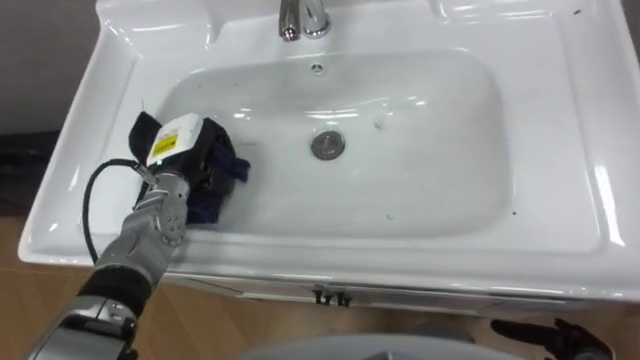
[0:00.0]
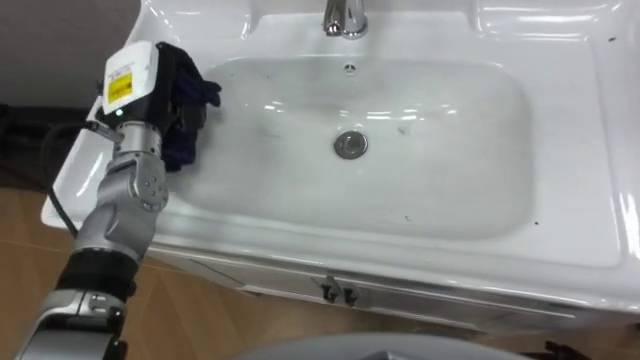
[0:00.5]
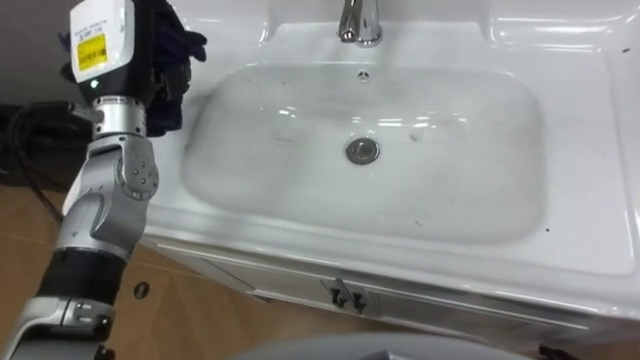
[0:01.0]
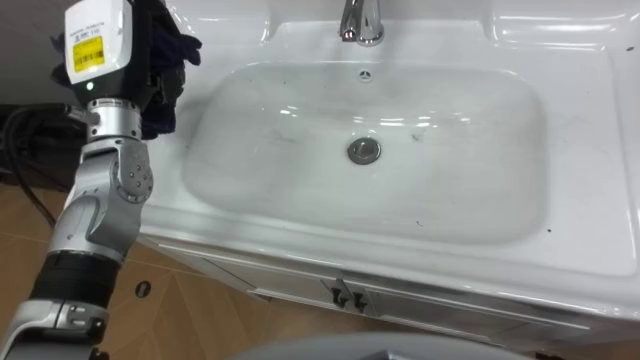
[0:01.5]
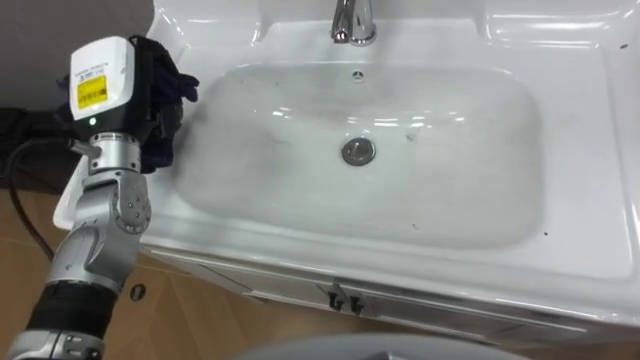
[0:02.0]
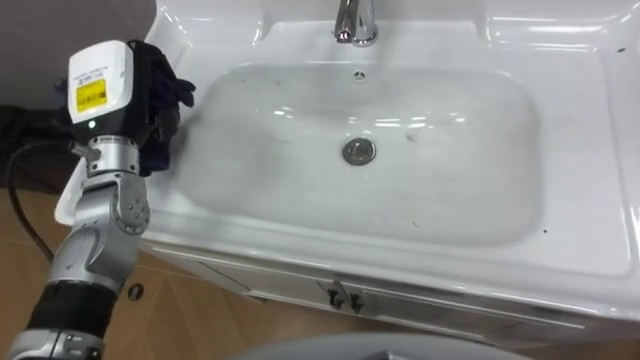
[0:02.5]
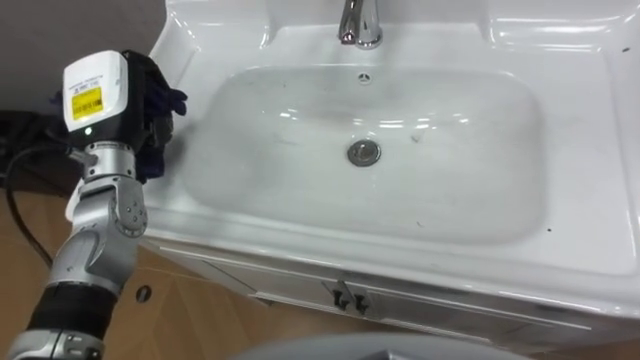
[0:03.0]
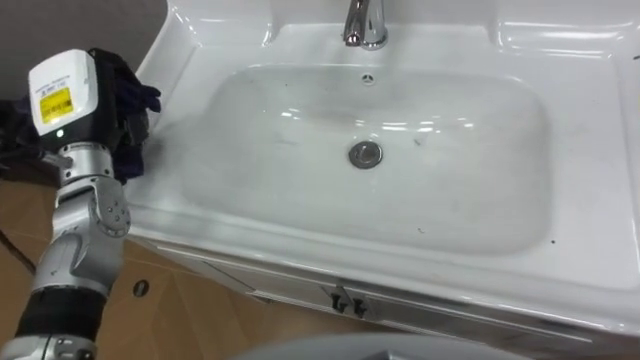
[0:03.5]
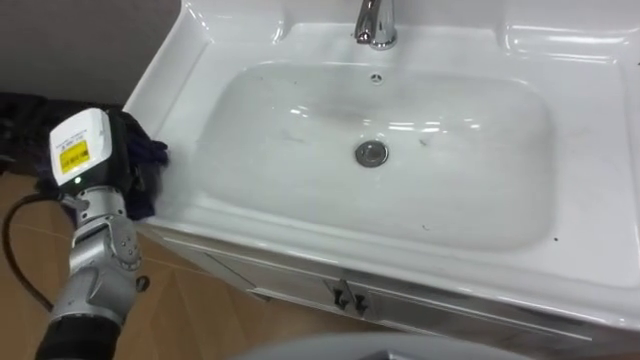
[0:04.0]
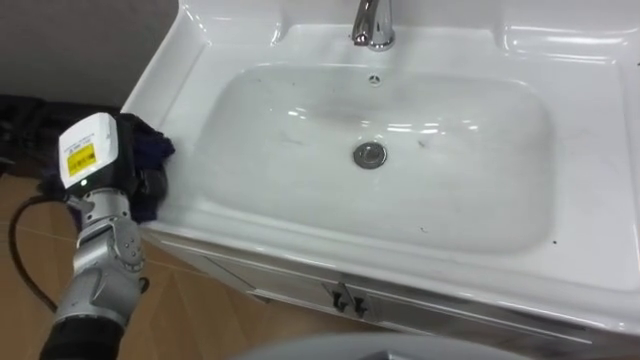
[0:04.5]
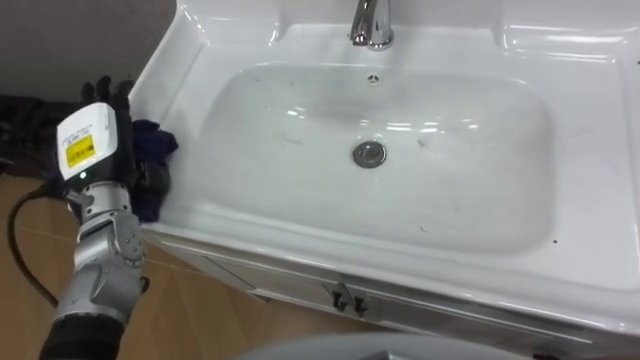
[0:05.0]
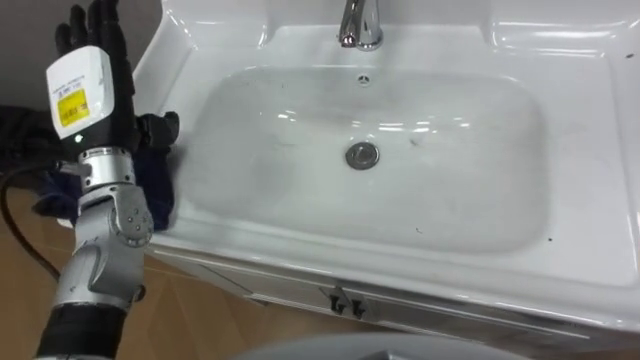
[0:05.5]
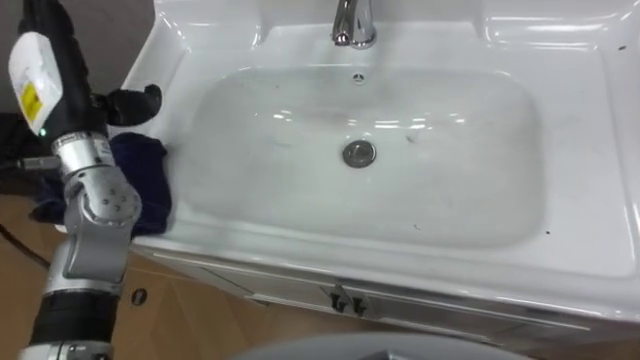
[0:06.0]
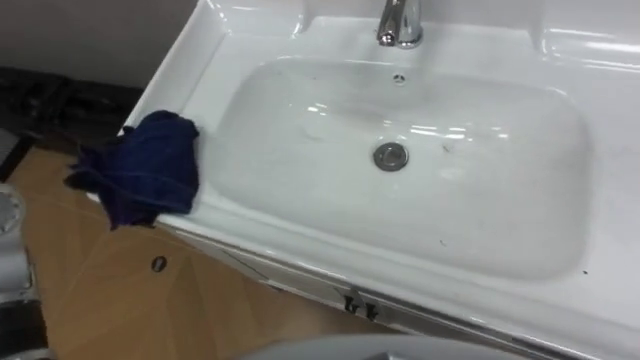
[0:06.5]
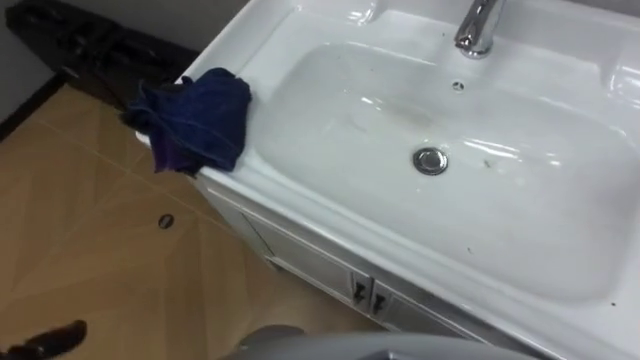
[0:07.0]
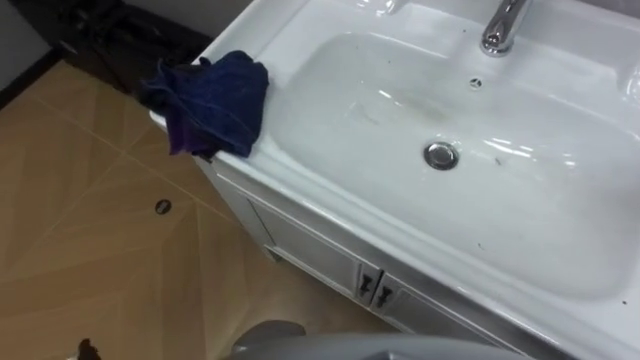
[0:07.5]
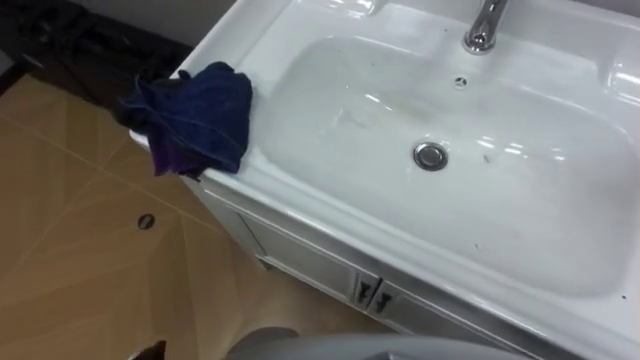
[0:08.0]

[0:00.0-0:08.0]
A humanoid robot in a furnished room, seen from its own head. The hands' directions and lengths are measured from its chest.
Task of the whole recording: Use the cloth on the right to wipe away the black stain in the sink.
0:00.0 to 0:02.0: The left hand goes approximately 15 cm upward.
0:02.0 to 0:04.0: The left hand shifts approximately 5 cm downward.
0:04.0 to 0:06.0: The left hand goes some 10 cm upward, and opens its fingers.

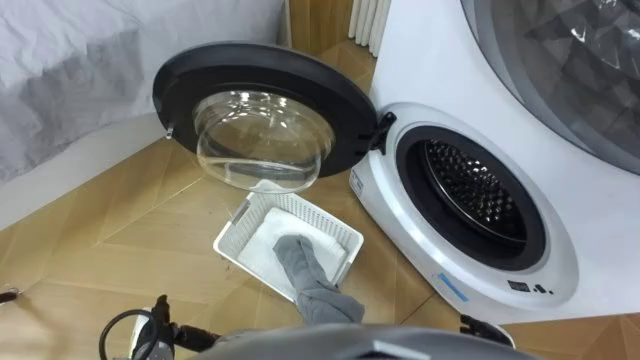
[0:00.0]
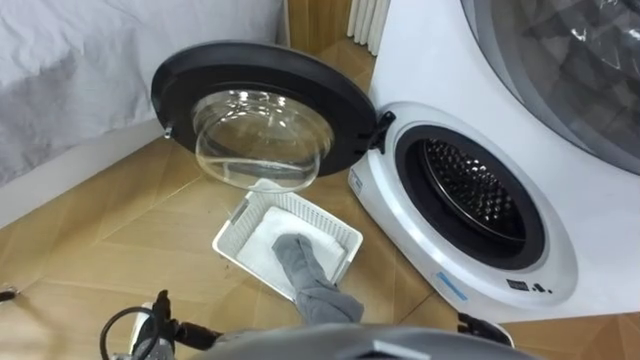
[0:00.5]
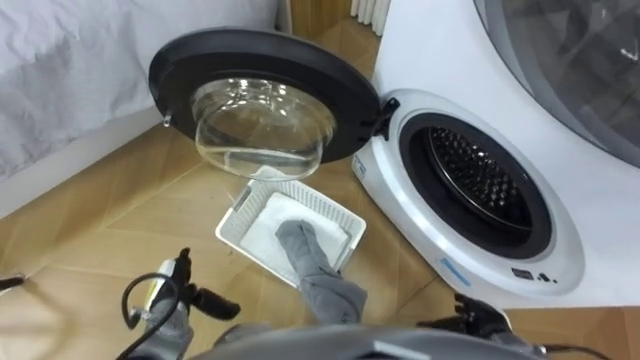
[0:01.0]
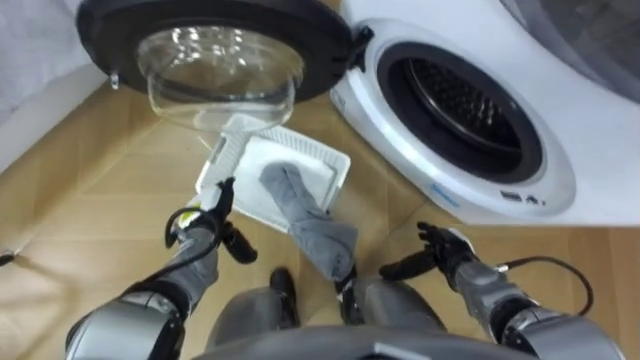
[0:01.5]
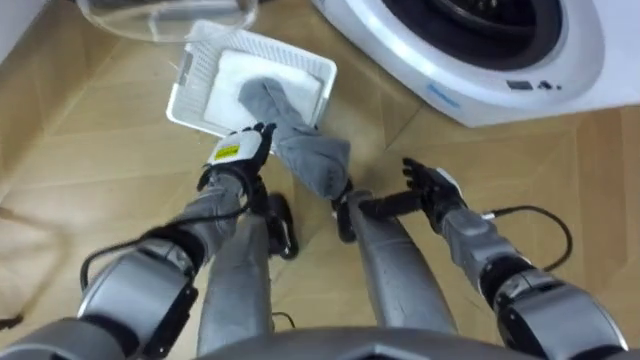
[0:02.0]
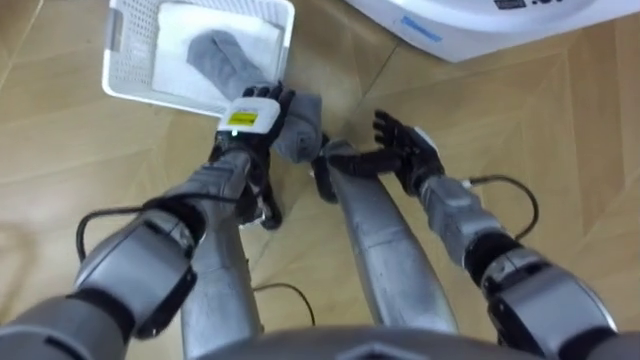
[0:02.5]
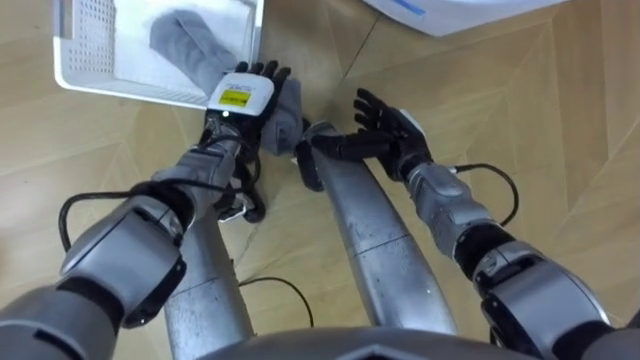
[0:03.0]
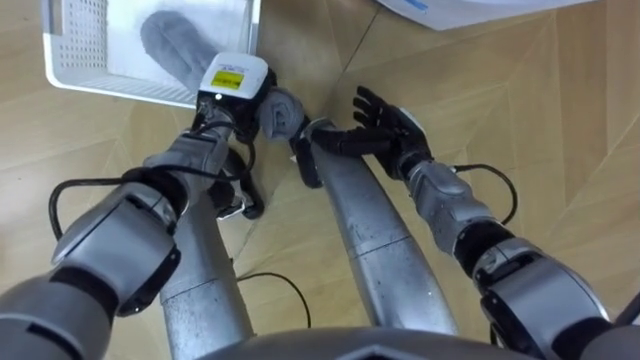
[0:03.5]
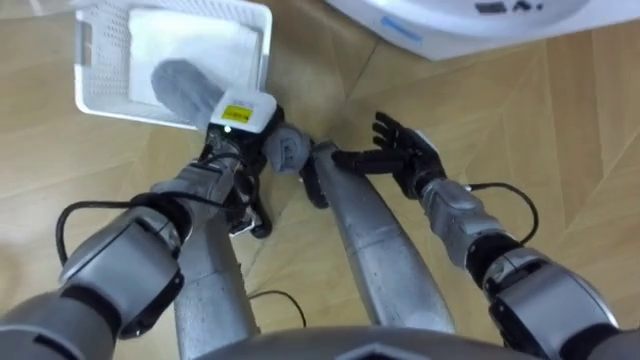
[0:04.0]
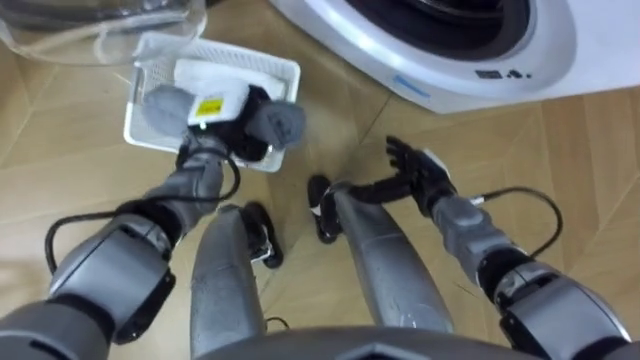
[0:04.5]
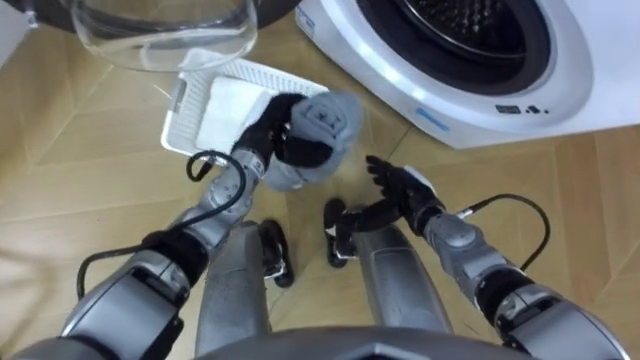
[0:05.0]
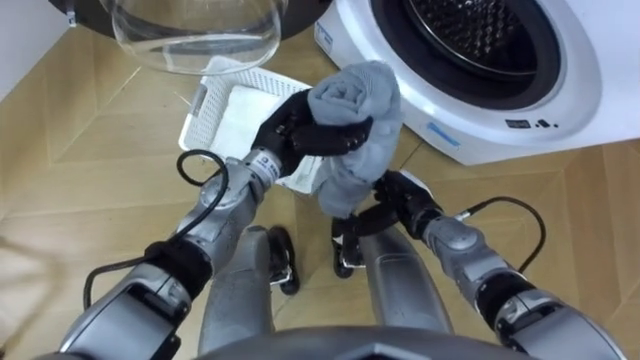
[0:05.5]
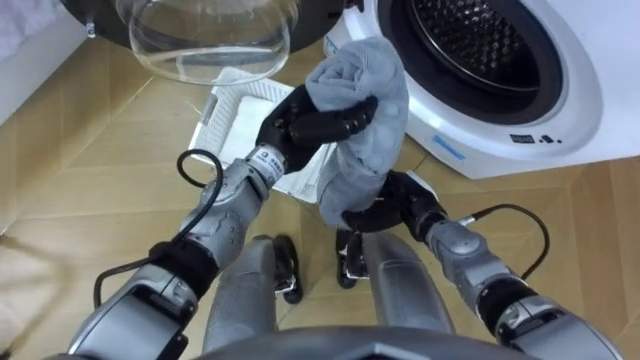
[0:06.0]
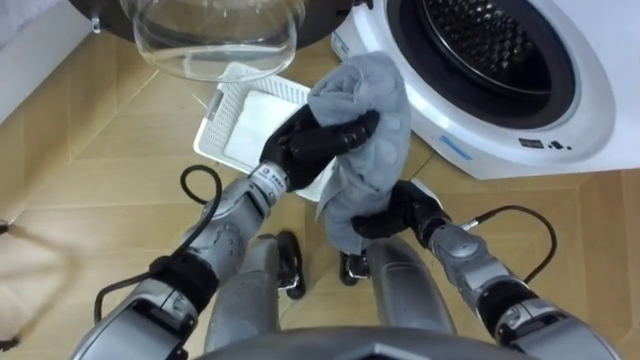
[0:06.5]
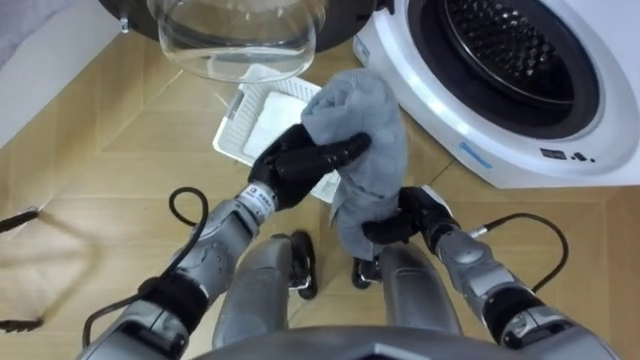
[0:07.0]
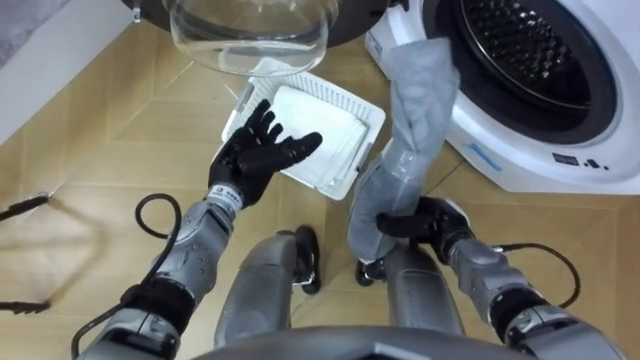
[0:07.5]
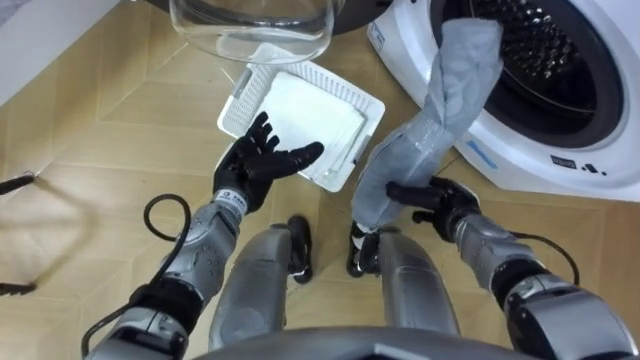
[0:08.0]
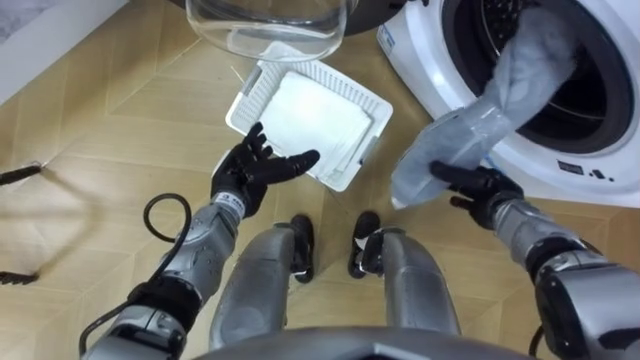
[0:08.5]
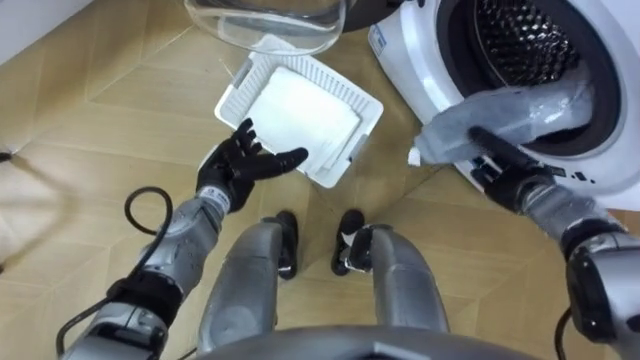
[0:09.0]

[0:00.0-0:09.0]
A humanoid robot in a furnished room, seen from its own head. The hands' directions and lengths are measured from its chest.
Task of the whole recording: Take the towel from the basket and put it into the washing machine.
0:02.0 to 0:04.5: The left hand shifts approximately 5 cm upward, and closes.
0:04.5 to 0:07.0: The right hand moves roughly 5 cm, and closes its fingers; the left hand shifts some 10 cm to the right and backward.
0:07.0 to 0:09.0: The left hand moves to the left, roughly 10 cm, and opens, while the right hand heads to the right, covering about 15 cm.

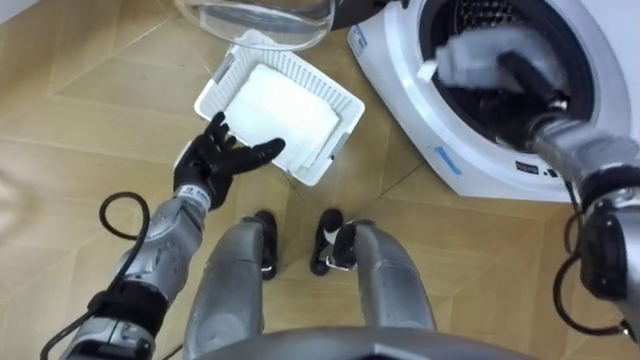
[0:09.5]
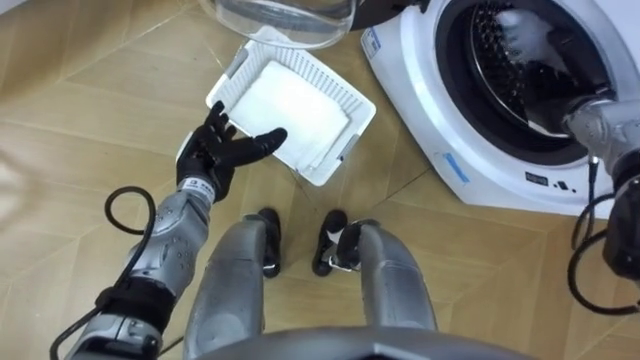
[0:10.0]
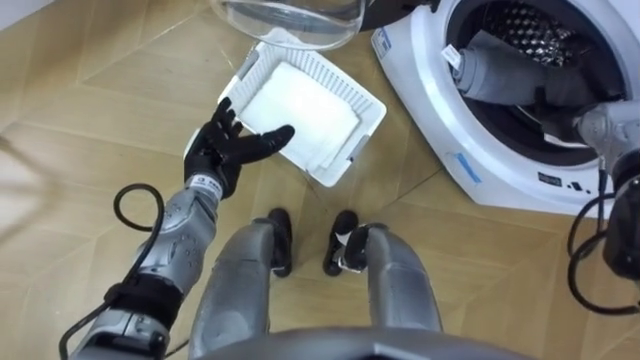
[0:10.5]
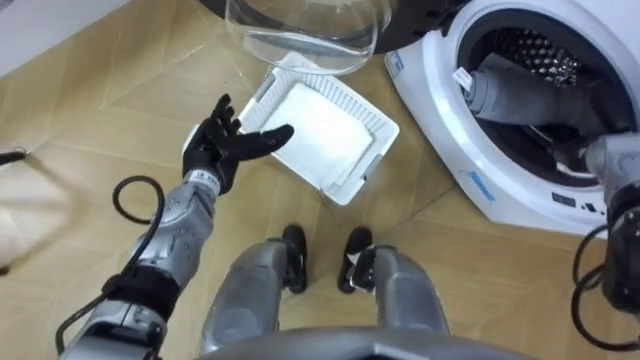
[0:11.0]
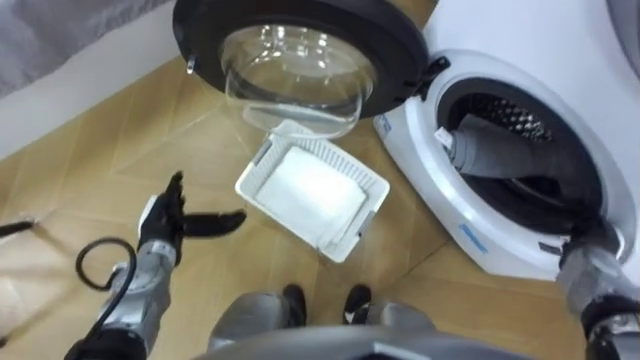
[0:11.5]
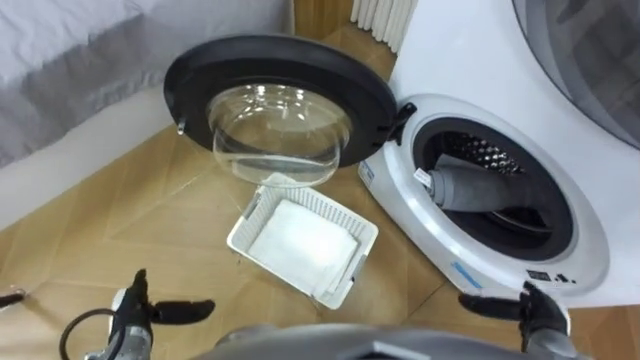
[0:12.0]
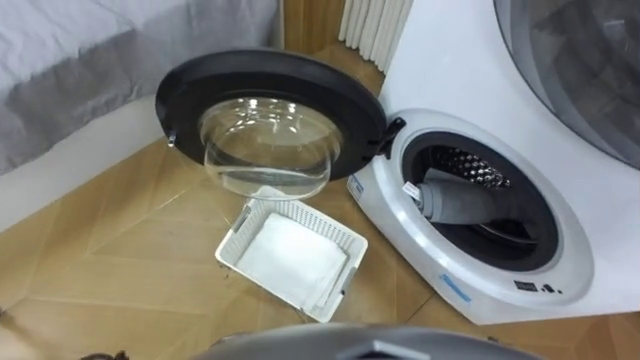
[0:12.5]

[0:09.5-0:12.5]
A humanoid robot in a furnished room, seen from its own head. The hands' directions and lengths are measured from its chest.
Task of the whole recording: Take the towel from the basket and put it into the washing machine.
0:09.5 to 0:11.0: The right hand is displaced to the right by roughly 10 cm, and opens.
